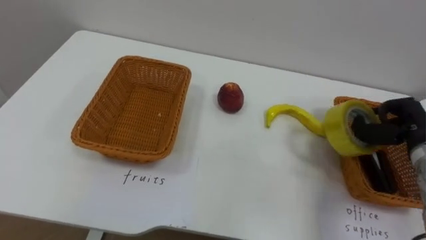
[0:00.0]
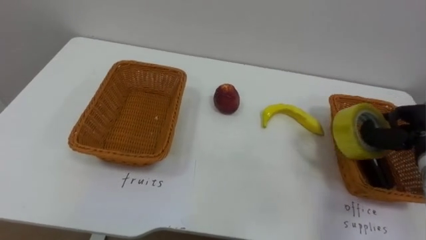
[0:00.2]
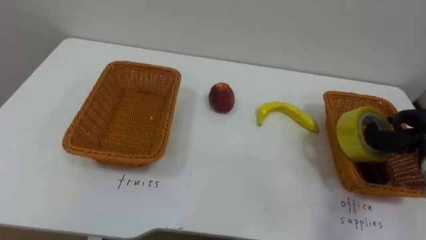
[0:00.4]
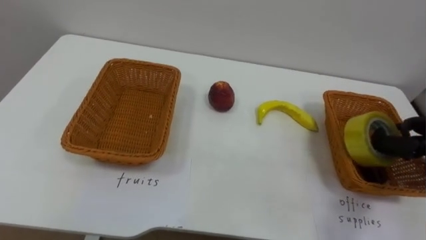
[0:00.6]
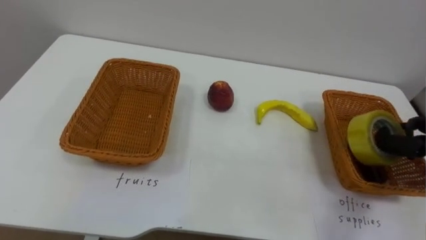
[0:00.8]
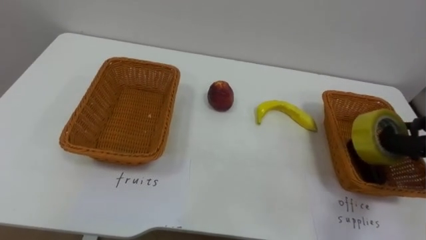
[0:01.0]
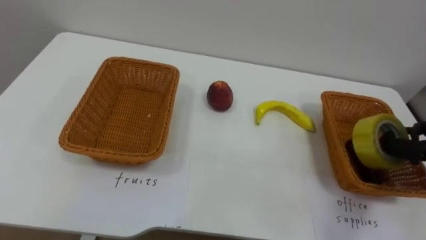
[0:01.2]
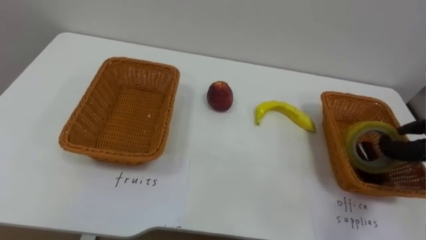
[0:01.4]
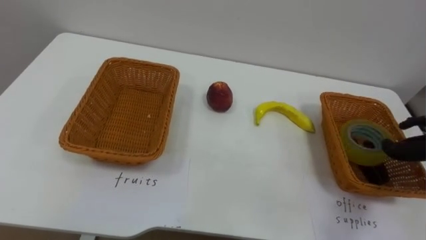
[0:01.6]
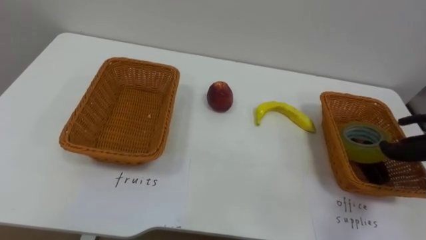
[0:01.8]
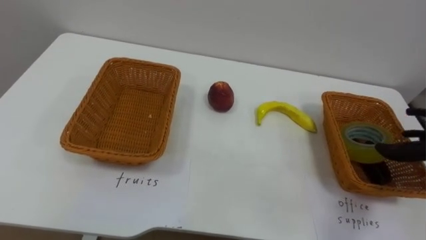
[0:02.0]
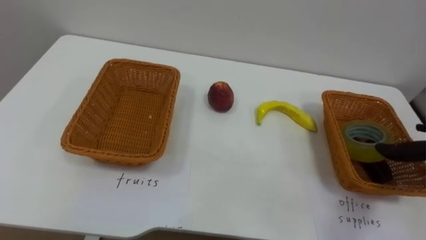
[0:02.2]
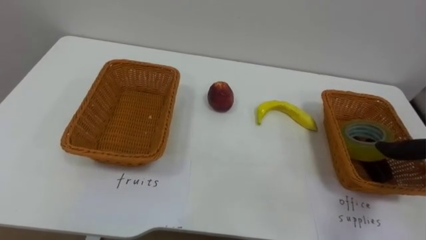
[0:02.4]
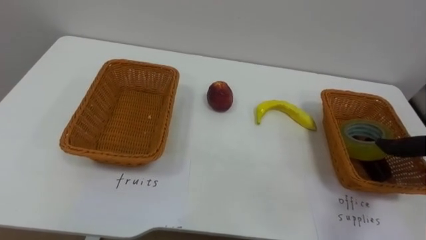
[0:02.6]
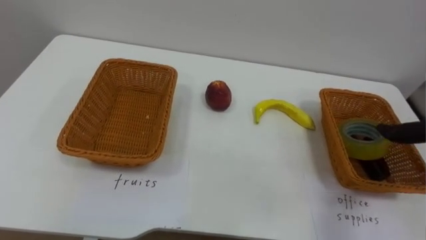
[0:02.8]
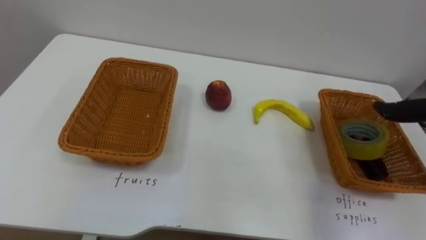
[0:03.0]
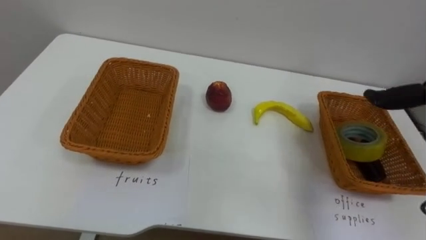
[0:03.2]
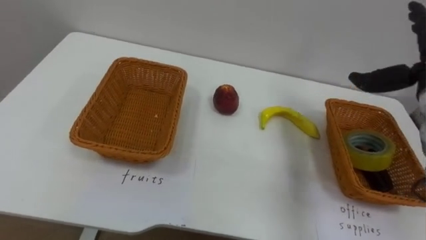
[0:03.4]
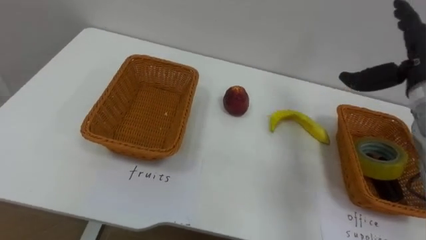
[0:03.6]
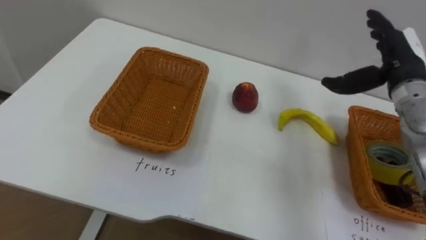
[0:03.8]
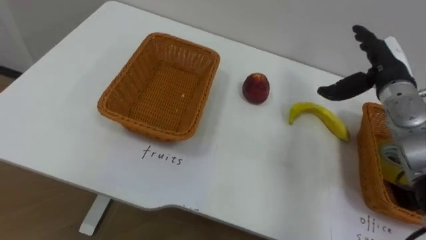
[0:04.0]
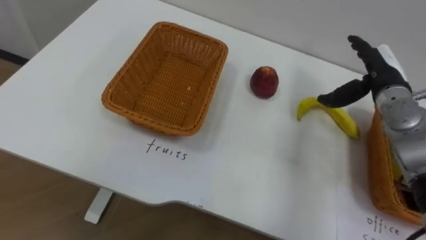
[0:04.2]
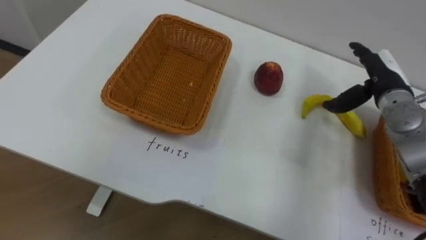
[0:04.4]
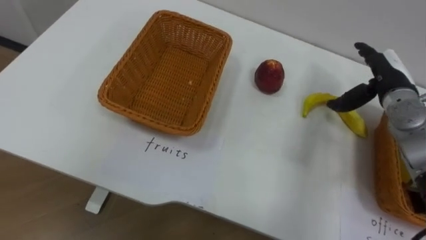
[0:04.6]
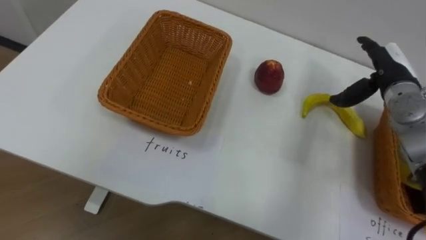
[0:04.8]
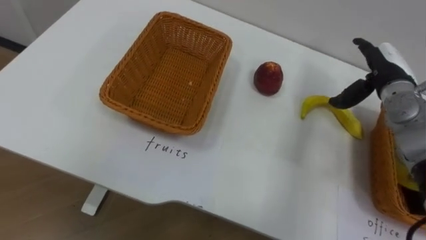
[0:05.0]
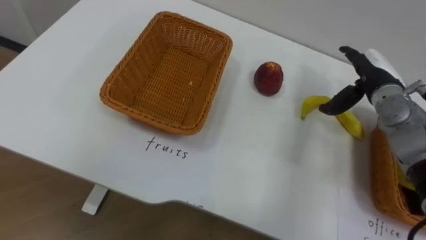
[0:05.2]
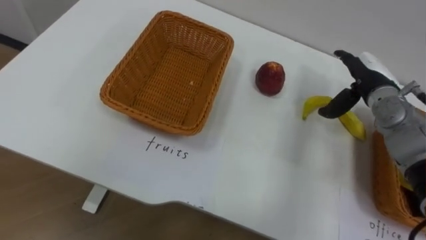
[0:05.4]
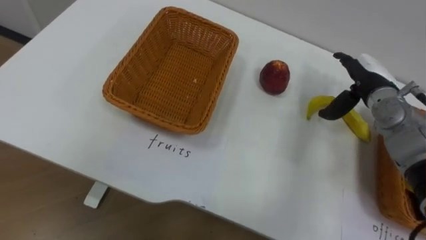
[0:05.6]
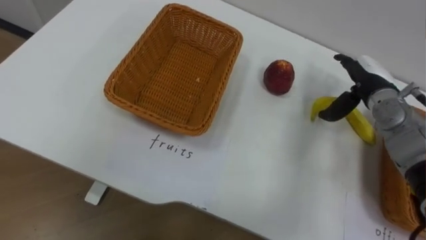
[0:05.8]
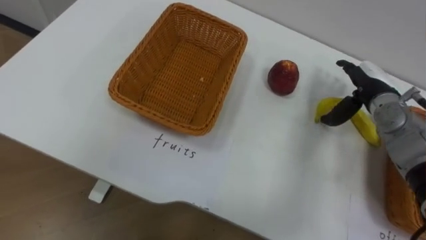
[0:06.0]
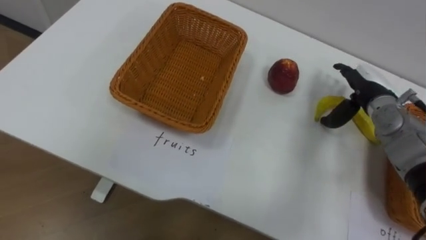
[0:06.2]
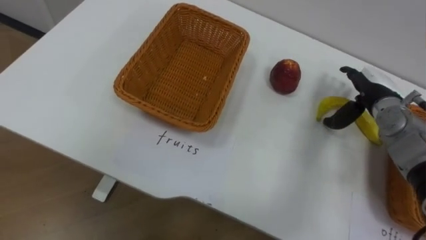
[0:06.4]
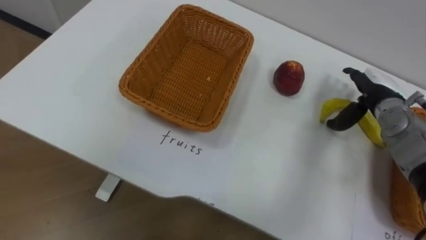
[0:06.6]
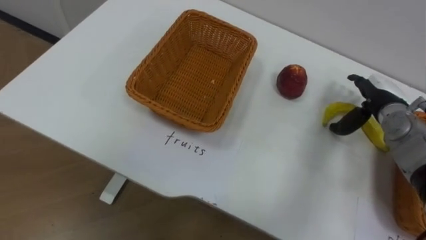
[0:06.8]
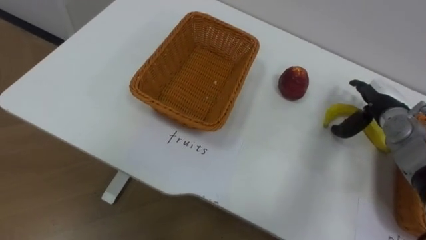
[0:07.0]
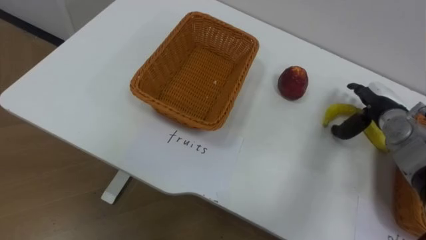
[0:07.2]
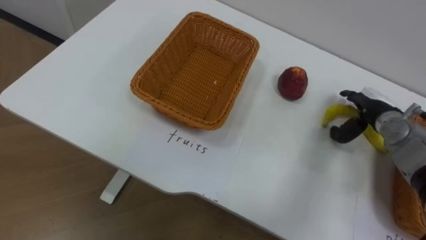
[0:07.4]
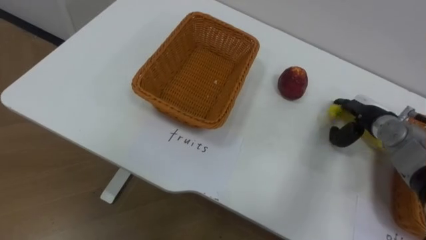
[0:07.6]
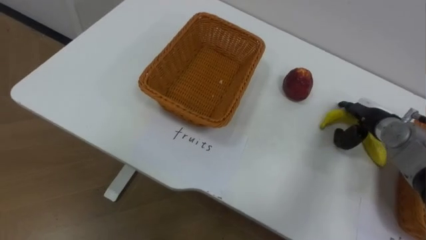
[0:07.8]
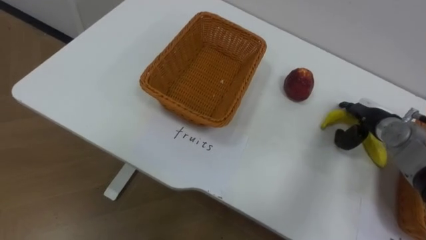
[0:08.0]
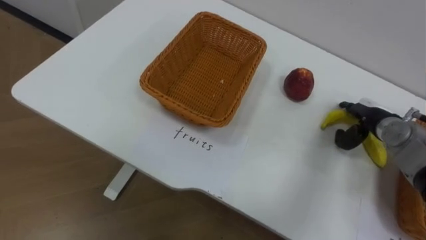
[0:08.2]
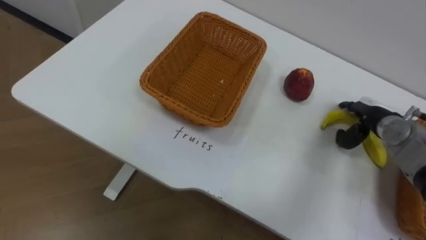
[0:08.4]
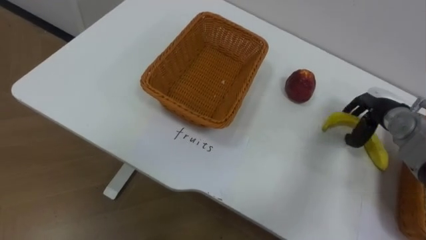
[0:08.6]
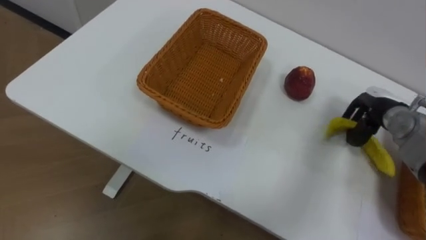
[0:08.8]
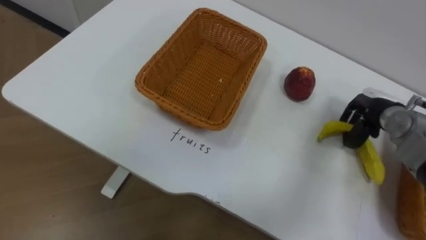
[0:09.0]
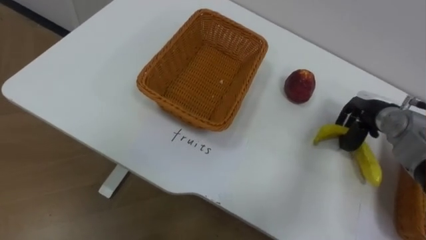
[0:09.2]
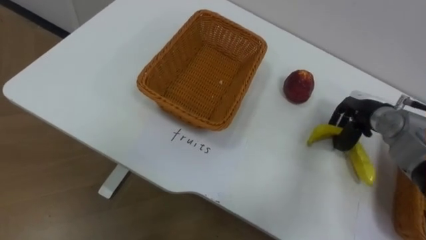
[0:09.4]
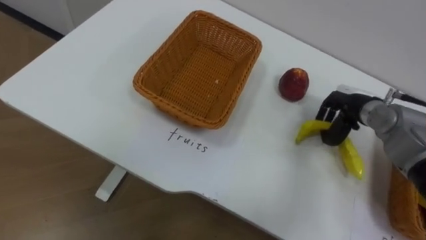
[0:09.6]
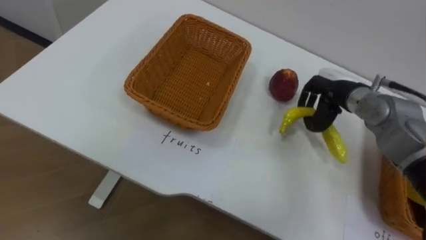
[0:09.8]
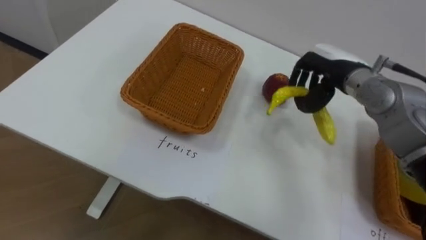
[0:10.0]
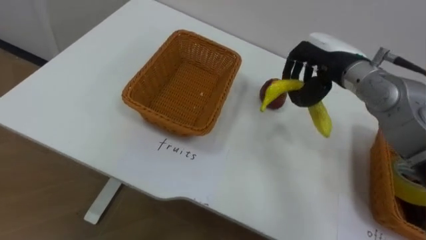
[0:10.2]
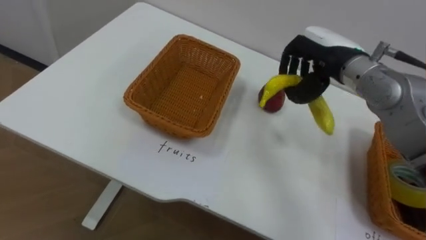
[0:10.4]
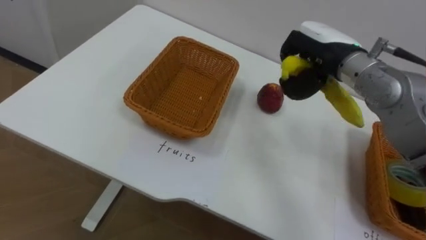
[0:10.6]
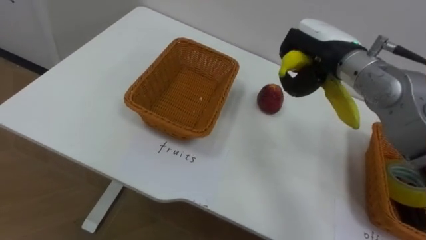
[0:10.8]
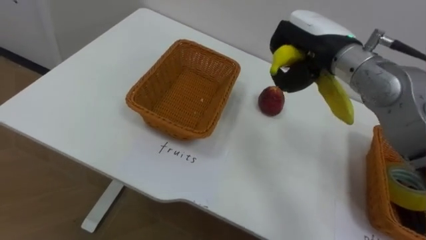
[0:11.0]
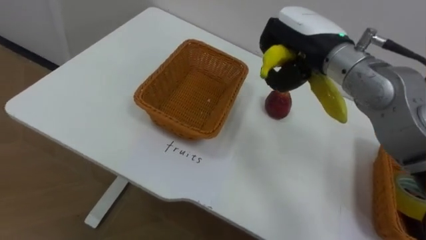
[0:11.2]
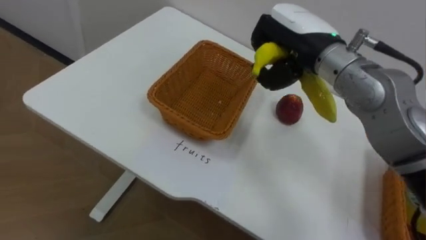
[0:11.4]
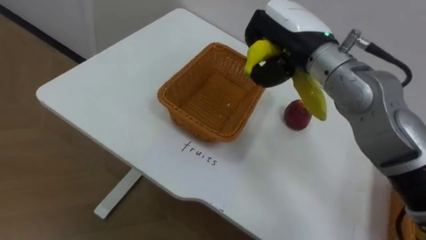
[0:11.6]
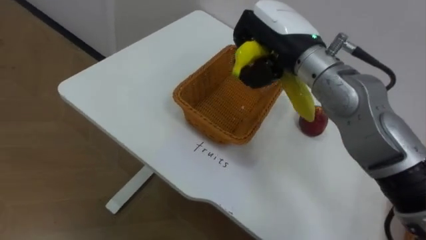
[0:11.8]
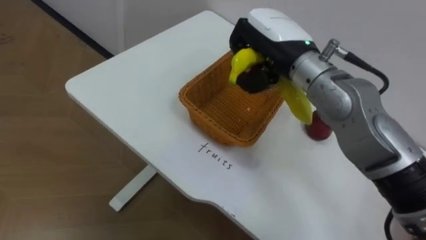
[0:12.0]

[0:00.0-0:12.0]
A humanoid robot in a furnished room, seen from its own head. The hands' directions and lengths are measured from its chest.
Task of the whole recording: Separate the items on the table and place them into the two baskets.
0:06.0 to 0:07.6: The right hand is displaced downward by roughly 5 cm.
0:07.6 to 0:09.0: The right hand closes its fingers.
0:09.0 to 0:10.4: The right hand shifts roughly 20 cm to the left and upward.
0:10.4 to 0:12.0: The right hand is displaced to the left by roughly 10 cm.

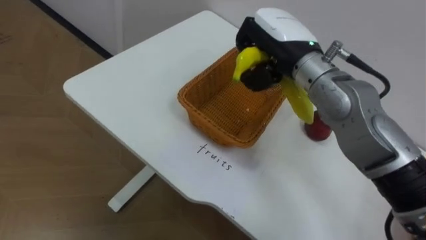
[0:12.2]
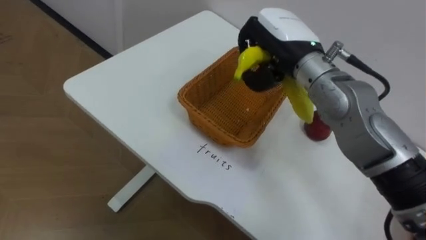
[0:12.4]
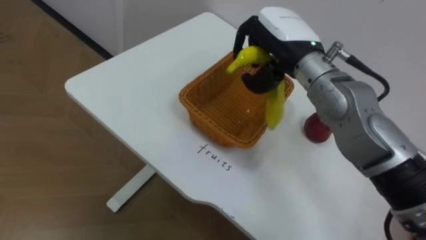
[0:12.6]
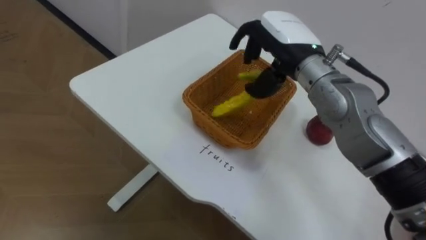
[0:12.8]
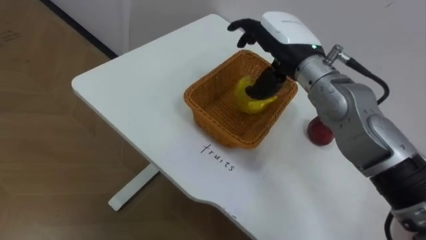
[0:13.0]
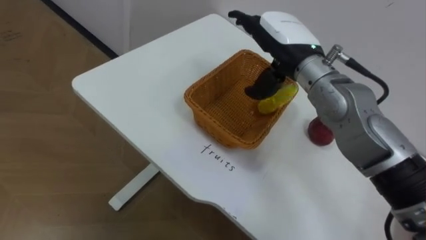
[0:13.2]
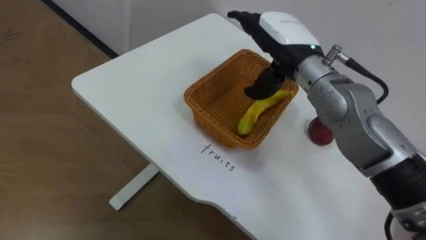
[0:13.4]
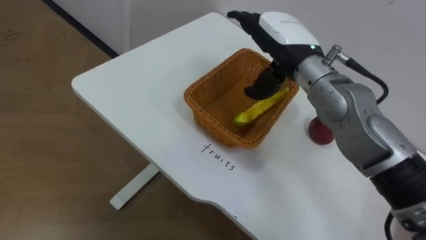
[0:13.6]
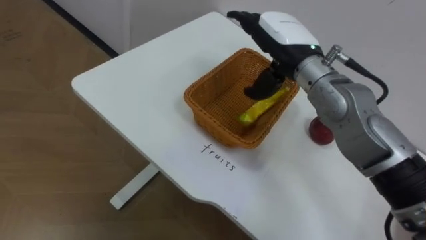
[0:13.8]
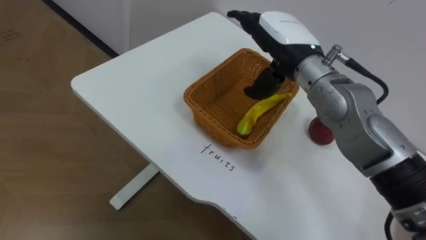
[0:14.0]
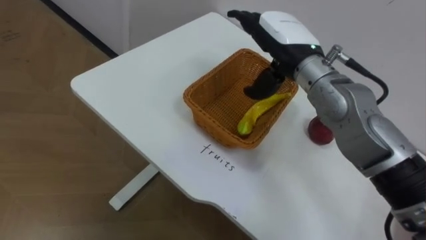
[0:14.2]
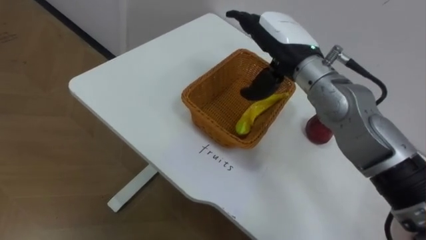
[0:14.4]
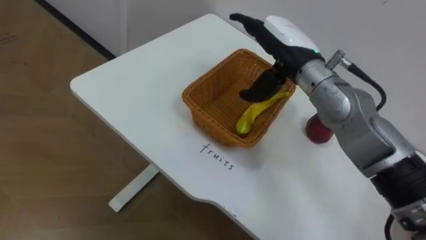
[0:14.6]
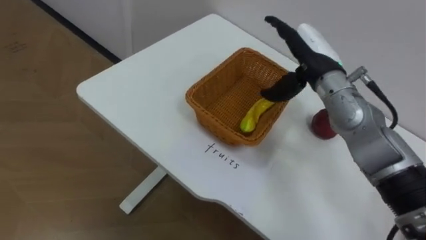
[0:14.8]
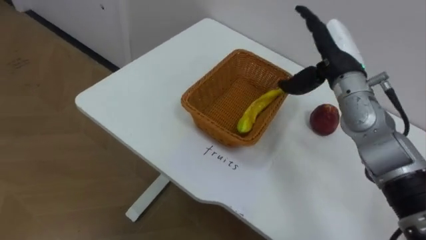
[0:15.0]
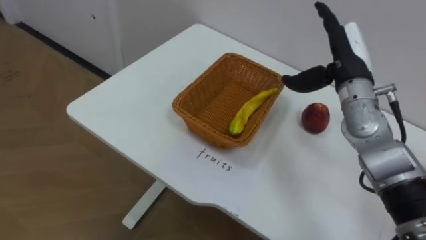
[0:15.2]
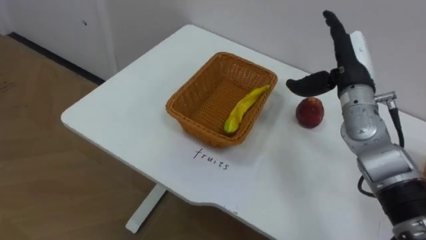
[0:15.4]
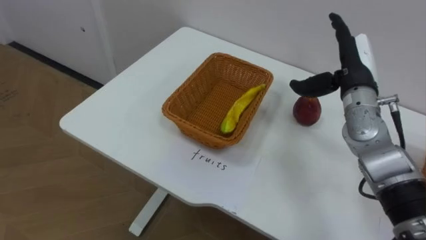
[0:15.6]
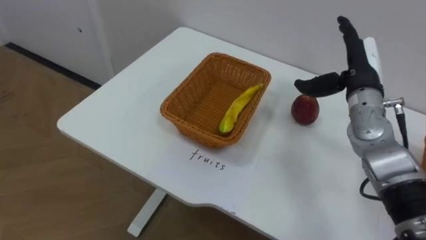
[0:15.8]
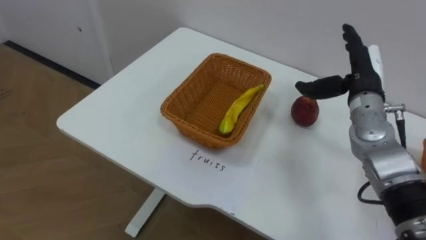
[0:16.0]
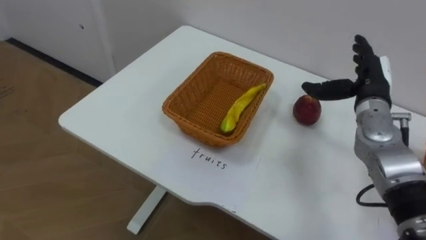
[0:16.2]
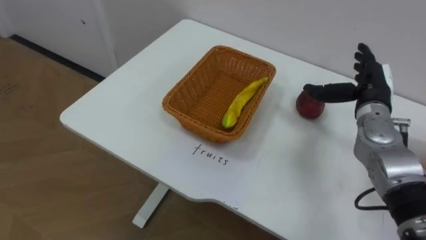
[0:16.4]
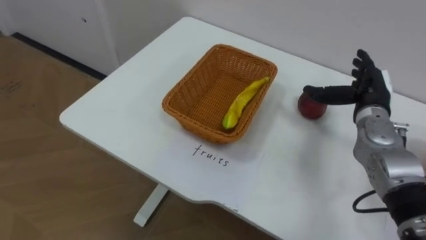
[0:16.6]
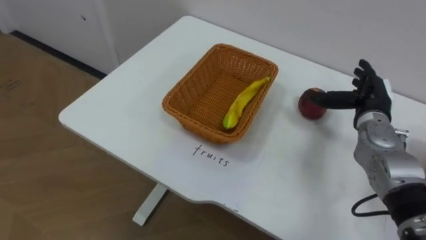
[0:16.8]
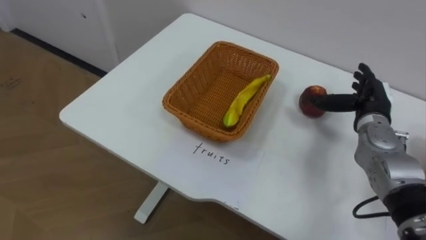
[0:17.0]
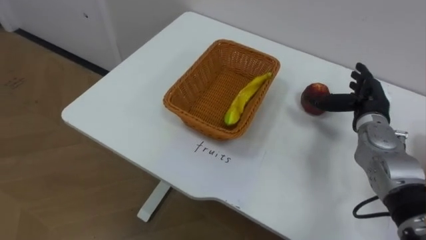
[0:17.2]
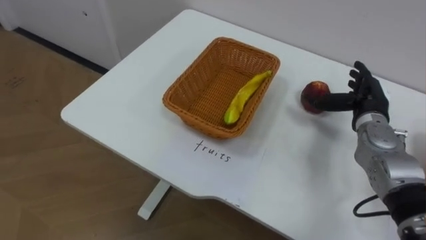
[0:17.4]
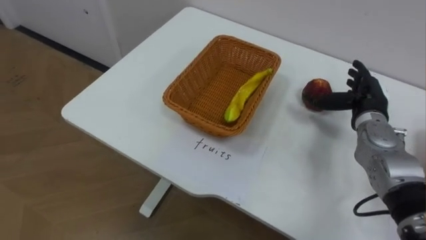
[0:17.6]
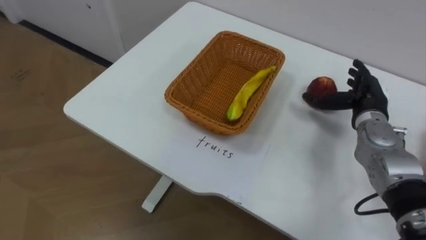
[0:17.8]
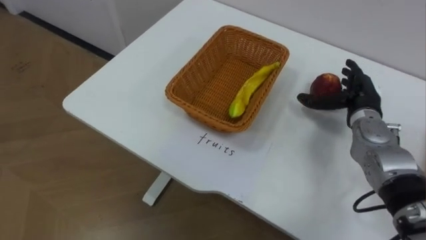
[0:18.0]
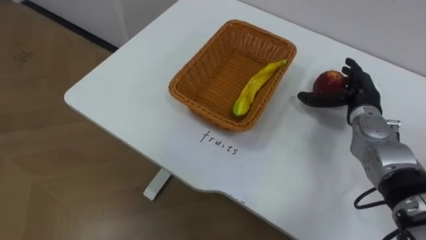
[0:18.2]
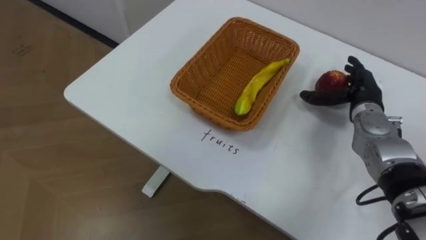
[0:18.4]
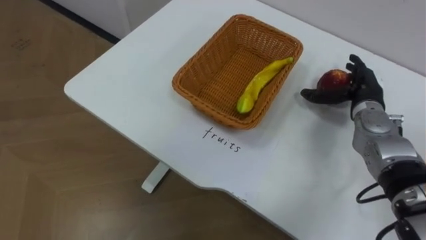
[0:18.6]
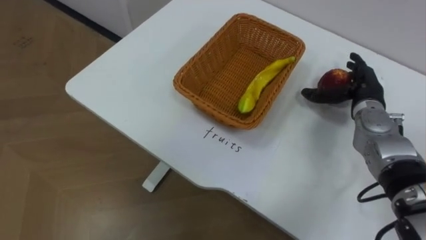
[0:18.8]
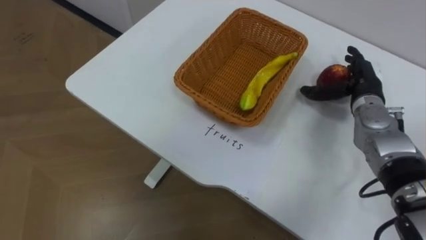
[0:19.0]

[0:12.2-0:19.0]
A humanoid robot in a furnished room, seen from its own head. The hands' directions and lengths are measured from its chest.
Task of the whole recording: Separate the items on the table and place them into the two baskets.
0:12.2 to 0:13.6: The right hand opens.
0:13.6 to 0:15.0: The right hand heads to the right, covering some 10 cm.
0:15.0 to 0:16.2: The right hand shifts approximately 10 cm to the right and downward.
